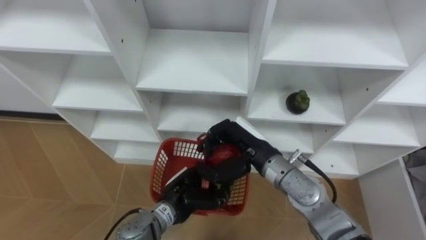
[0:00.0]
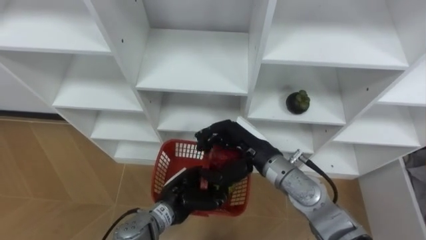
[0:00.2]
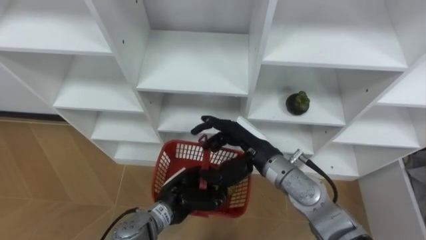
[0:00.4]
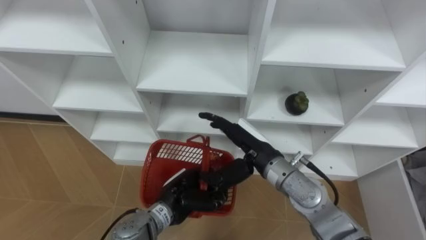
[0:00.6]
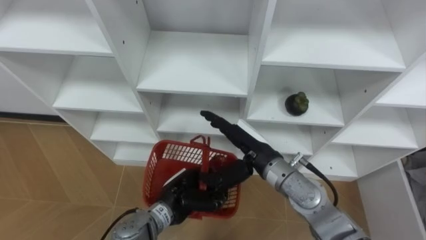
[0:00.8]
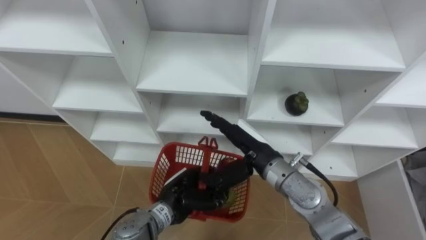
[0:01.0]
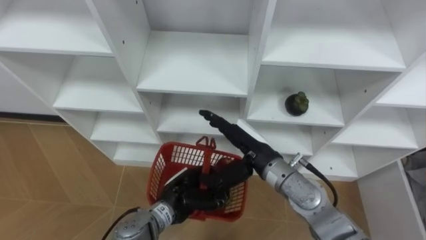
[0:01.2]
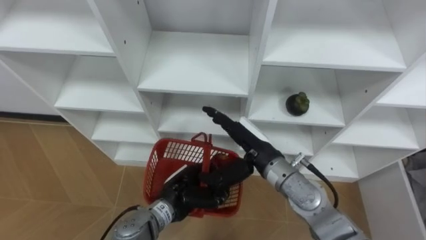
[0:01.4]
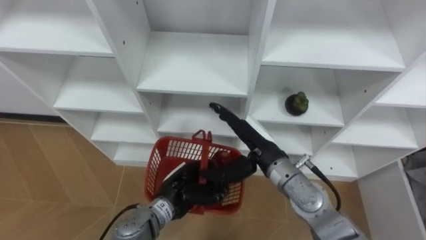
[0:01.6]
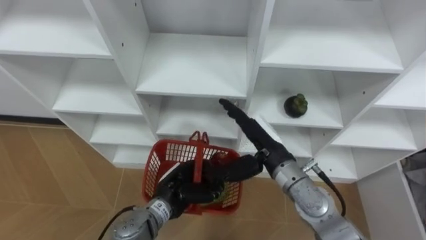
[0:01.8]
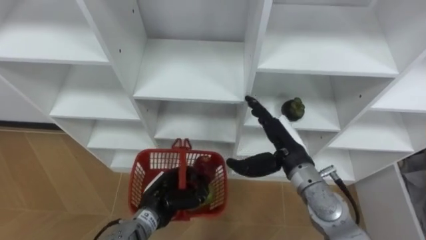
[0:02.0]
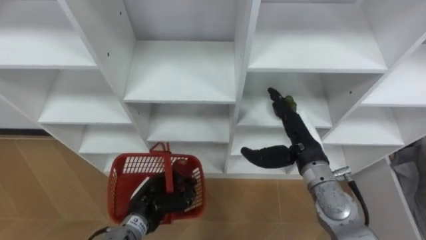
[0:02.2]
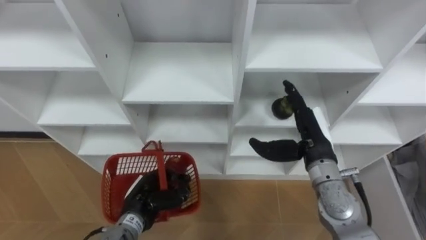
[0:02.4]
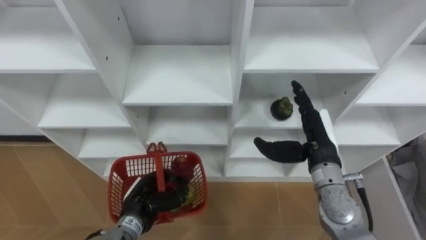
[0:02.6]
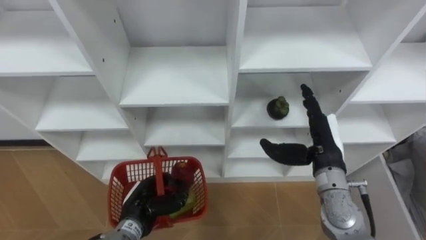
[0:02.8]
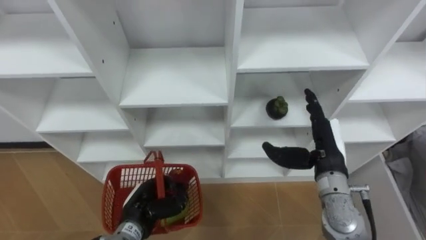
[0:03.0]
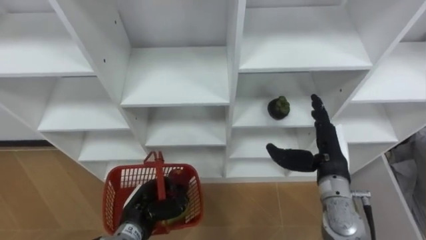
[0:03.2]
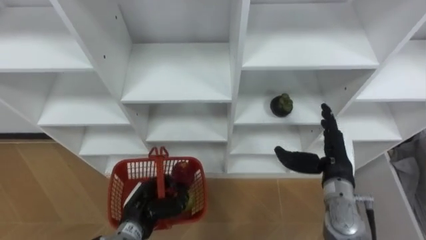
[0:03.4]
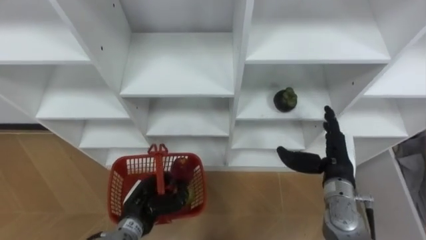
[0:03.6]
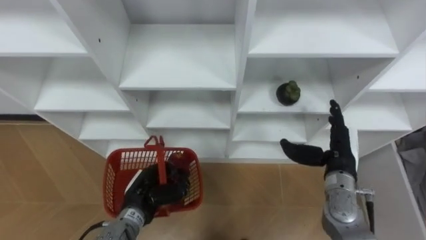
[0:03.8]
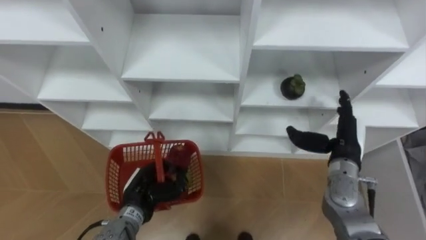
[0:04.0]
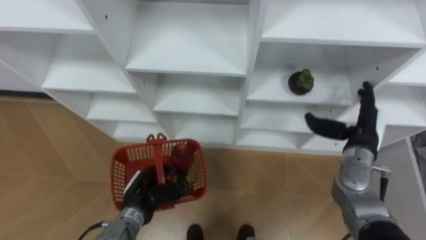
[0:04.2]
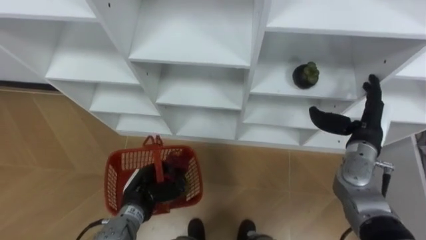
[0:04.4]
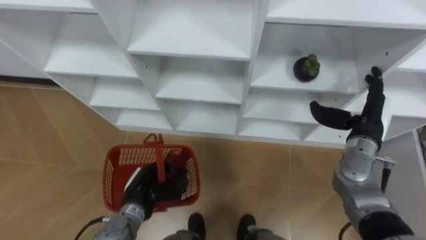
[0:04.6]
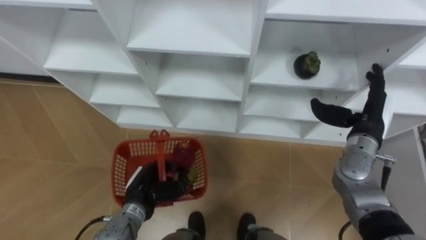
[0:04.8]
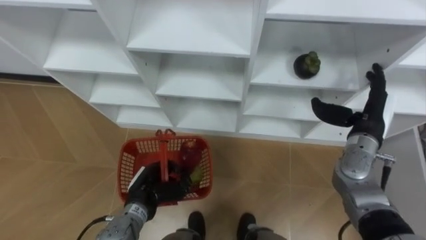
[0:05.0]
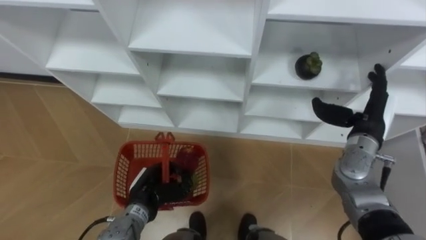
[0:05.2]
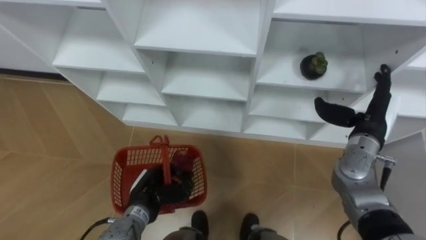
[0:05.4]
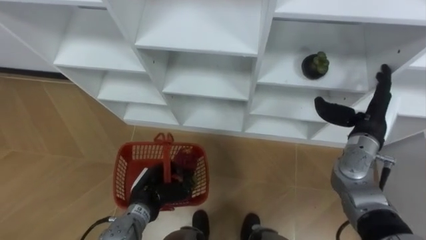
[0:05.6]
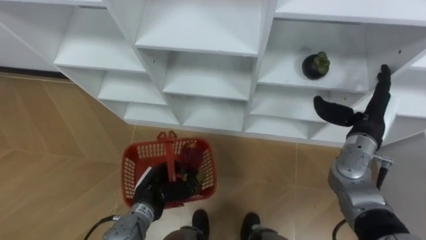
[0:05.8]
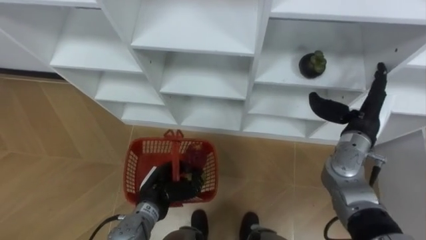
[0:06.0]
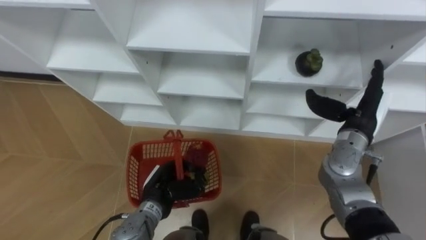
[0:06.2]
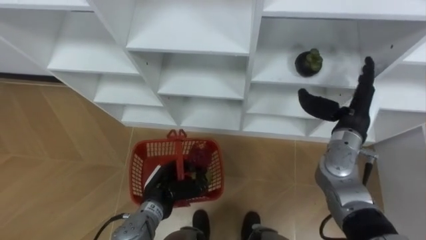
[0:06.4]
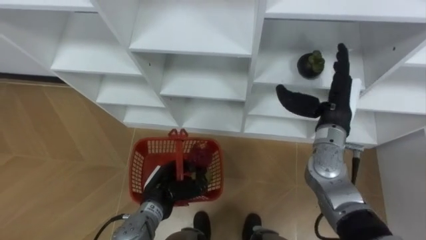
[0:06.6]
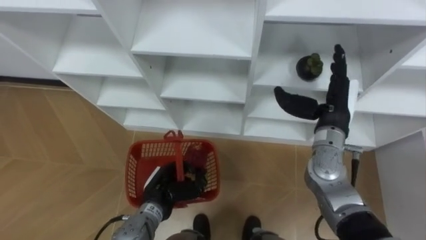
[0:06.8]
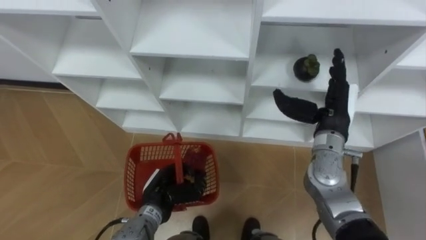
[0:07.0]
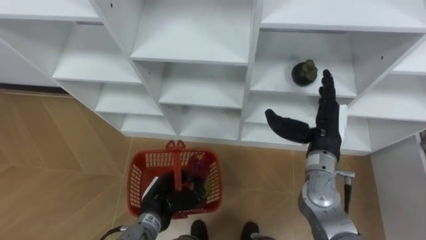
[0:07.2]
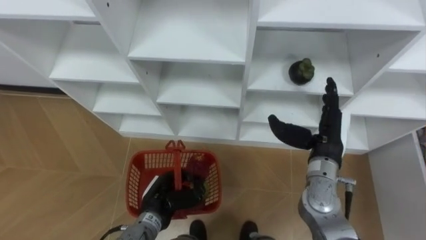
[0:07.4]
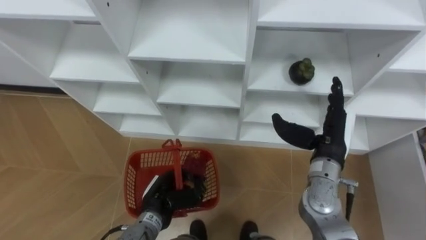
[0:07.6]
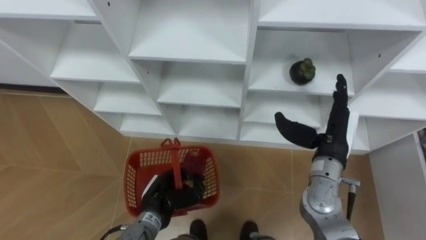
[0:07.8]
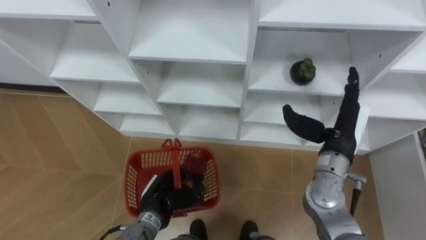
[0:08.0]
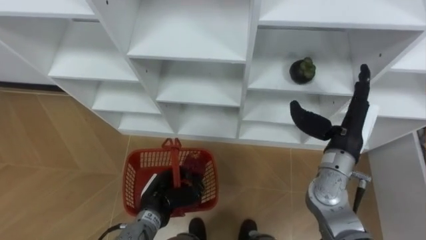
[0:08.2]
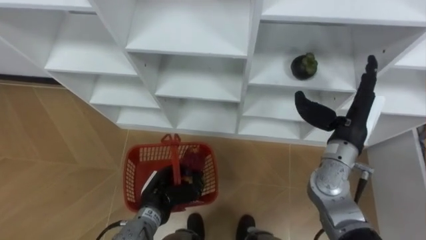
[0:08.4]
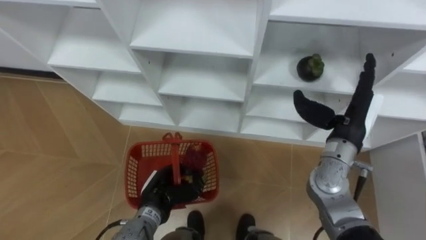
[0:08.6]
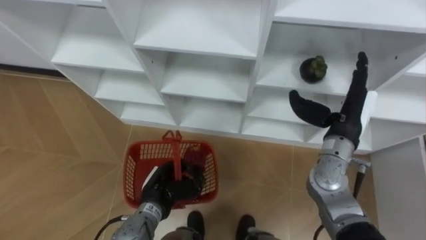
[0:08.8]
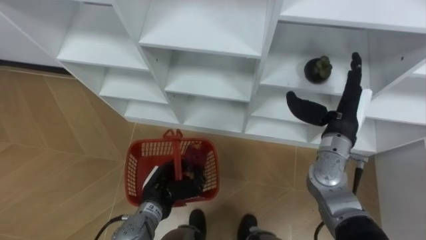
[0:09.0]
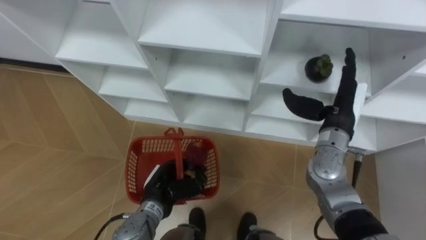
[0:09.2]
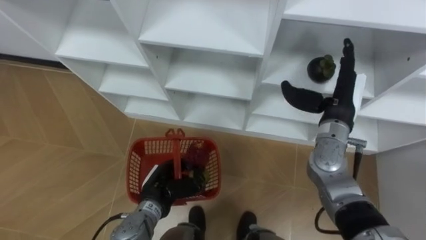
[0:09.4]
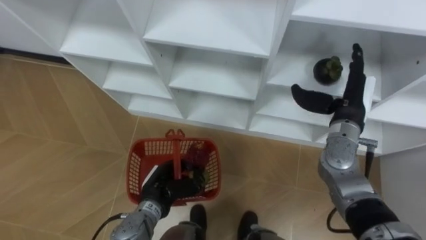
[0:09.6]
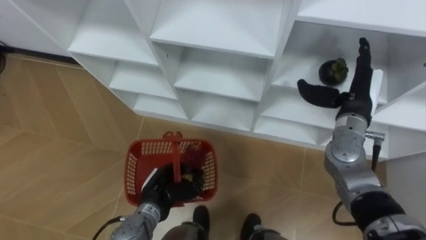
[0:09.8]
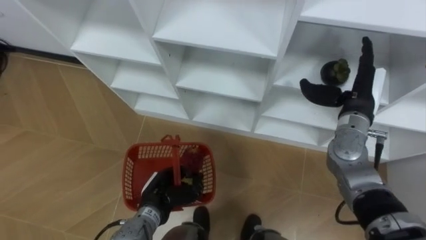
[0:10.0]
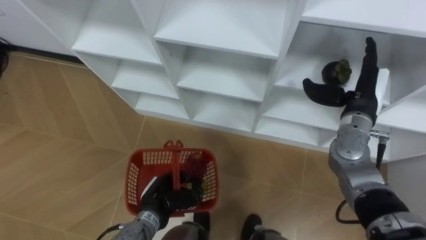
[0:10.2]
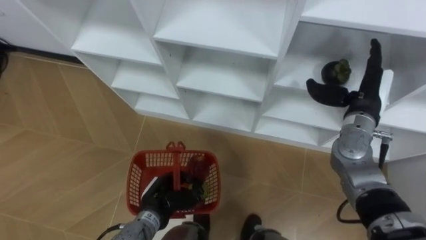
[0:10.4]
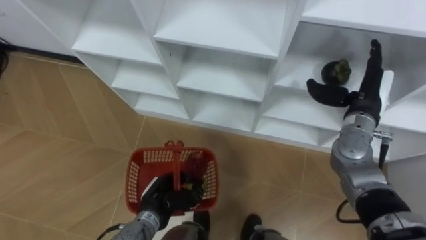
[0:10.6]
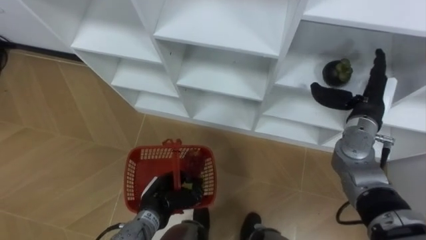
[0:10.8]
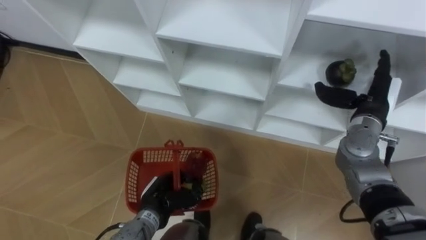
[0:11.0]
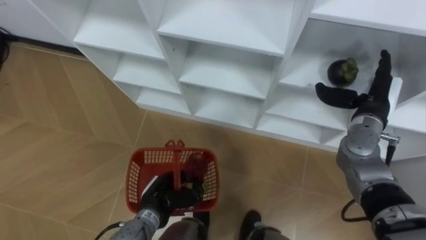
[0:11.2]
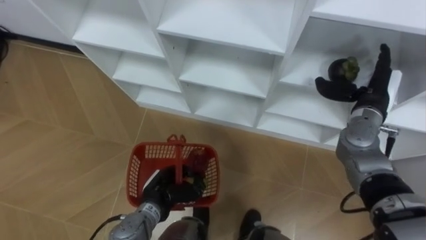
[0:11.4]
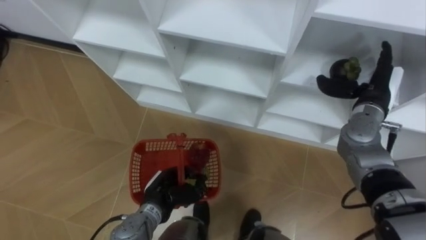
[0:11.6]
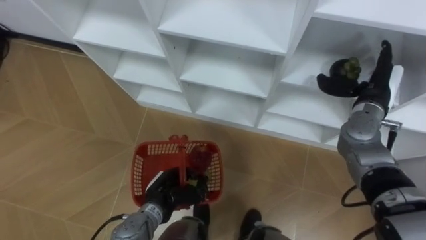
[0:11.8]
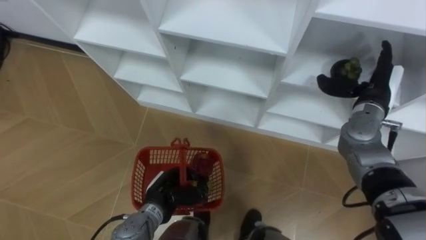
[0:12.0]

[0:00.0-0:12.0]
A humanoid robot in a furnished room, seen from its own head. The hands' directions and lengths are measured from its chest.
Task of the whole recording: Hold the basket and collect the fruits from 3 different cells of the closet into it.
0.0 to 1.6 s: The right hand opens up.
1.6 to 3.0 s: The left hand shifts some 10 cm to the left. The right hand is displaced to the right by roughly 15 cm.
3.0 to 4.4 s: The right hand goes roughly 10 cm to the right.
6.0 to 7.6 s: The right hand shifts about 5 cm to the left.
9.0 to 10.4 s: The right hand moves some 5 cm.

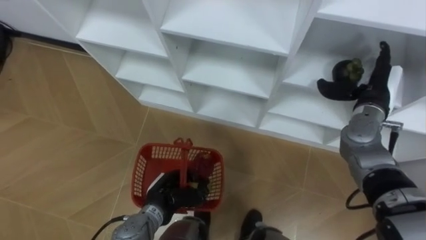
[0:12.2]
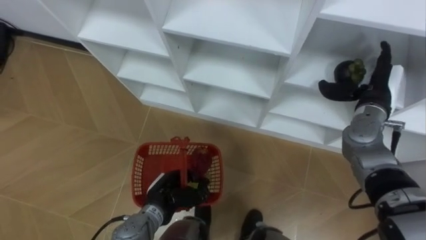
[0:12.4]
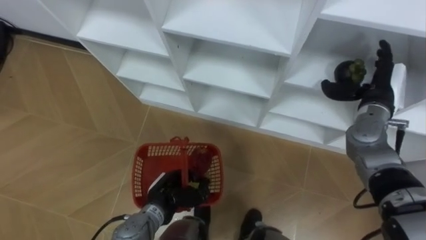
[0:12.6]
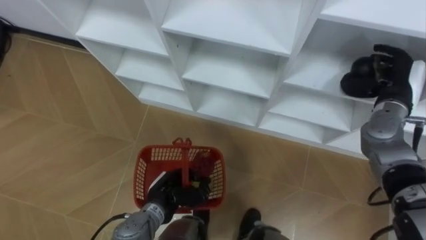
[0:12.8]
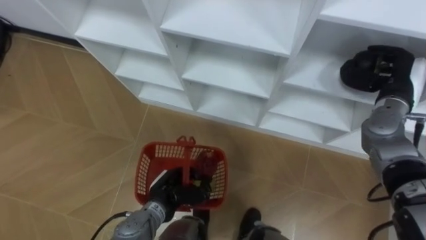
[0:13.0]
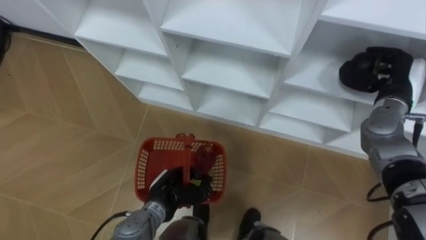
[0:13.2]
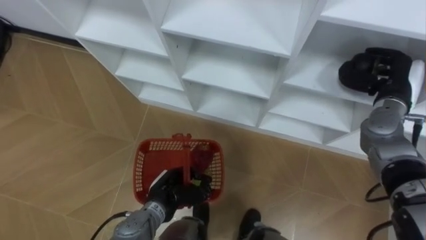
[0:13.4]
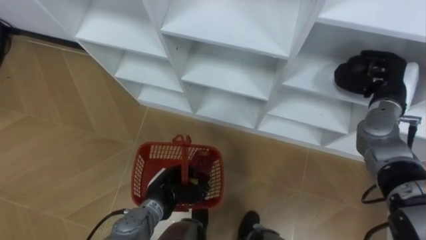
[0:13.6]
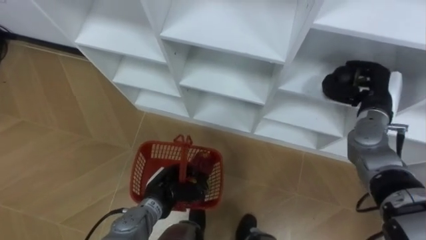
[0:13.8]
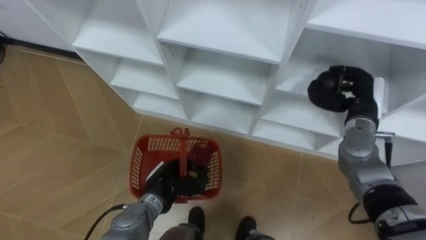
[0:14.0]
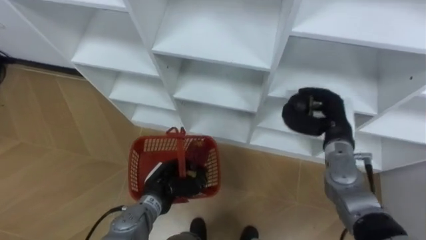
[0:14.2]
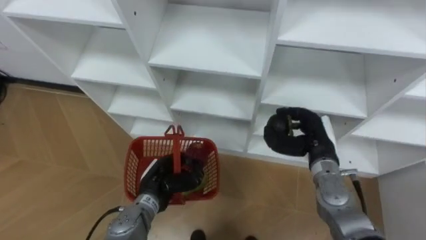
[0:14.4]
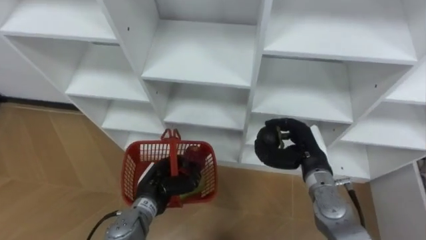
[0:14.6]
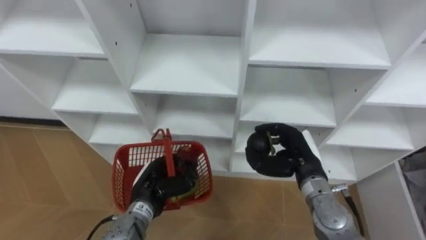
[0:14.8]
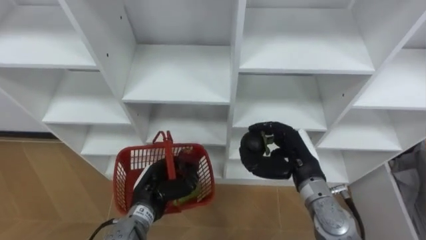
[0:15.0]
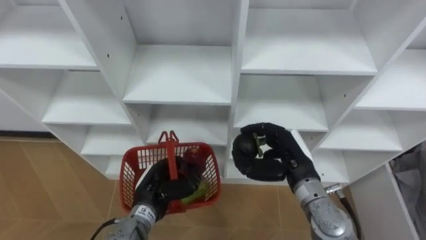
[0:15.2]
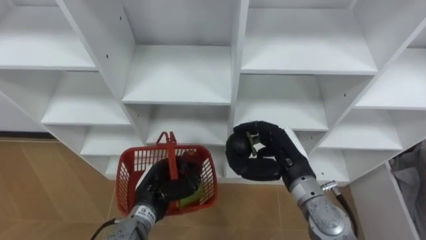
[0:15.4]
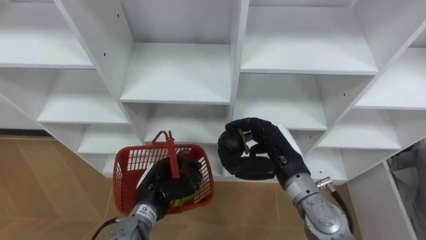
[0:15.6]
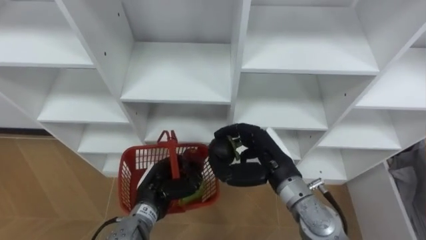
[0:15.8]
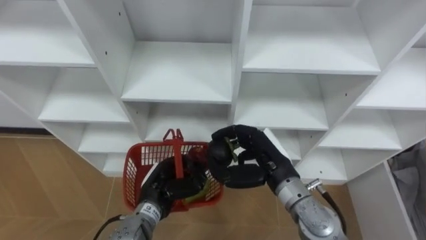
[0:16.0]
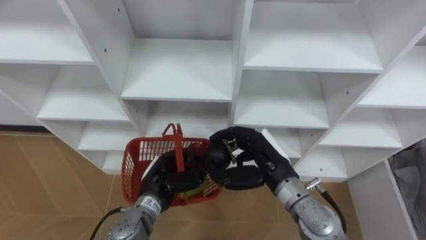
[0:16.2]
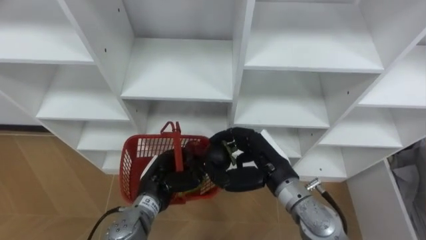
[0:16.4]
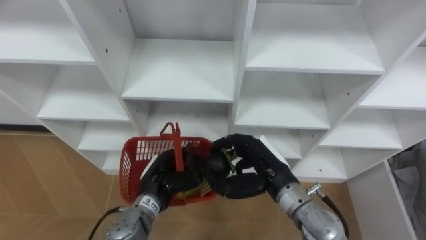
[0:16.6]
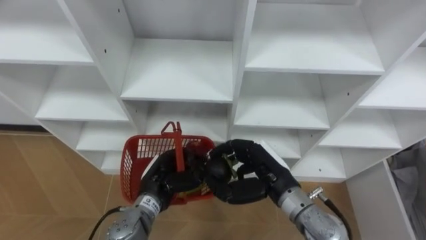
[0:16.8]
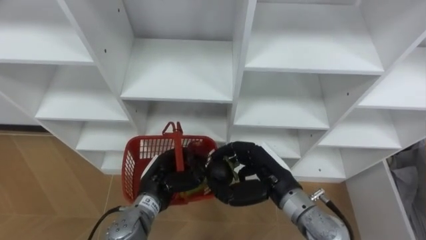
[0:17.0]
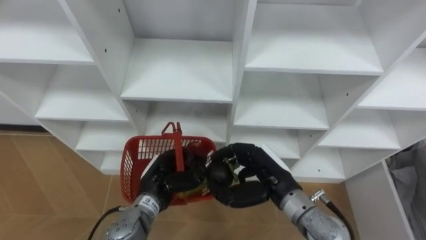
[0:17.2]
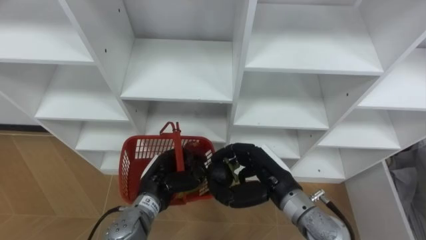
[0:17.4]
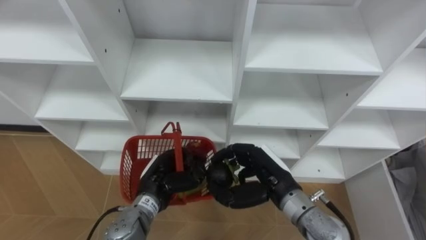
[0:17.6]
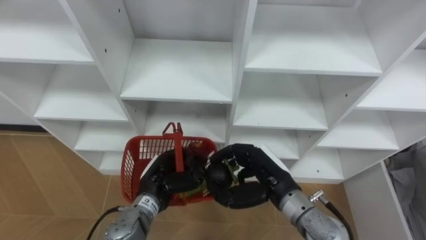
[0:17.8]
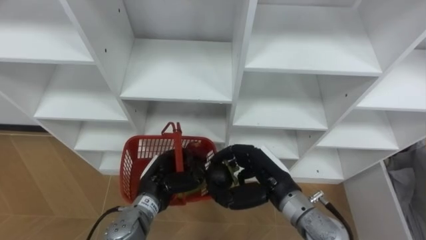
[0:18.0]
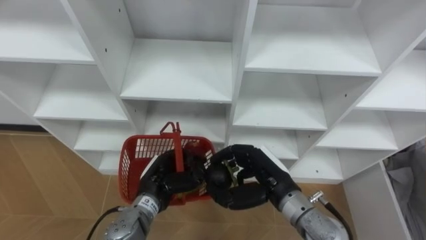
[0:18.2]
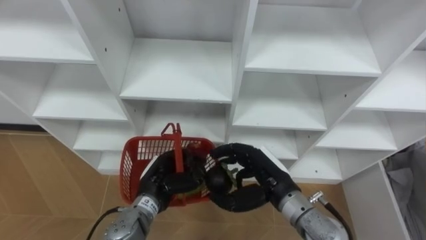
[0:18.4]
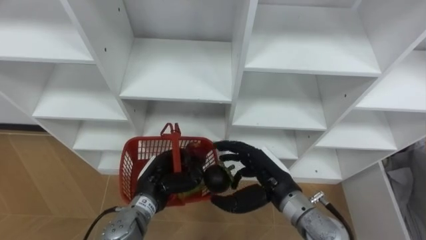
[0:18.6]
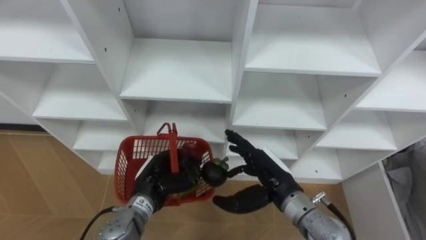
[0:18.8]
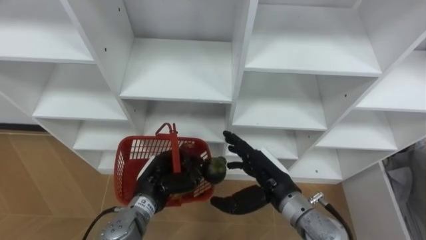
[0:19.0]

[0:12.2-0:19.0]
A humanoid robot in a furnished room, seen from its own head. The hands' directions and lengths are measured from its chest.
Task of the whole recording: Hold the basket and collect the fruits from 3 different cells of the closet into it.
12.2 to 13.6 s: The right hand closes its fingers.
13.6 to 15.0 s: The right hand heads to the left, backward and downward, covering roughly 20 cm.
15.0 to 16.2 s: The right hand shifts about 5 cm to the left.
16.2 to 17.6 s: The hands make only small movements.
17.6 to 19.0 s: The right hand opens.
